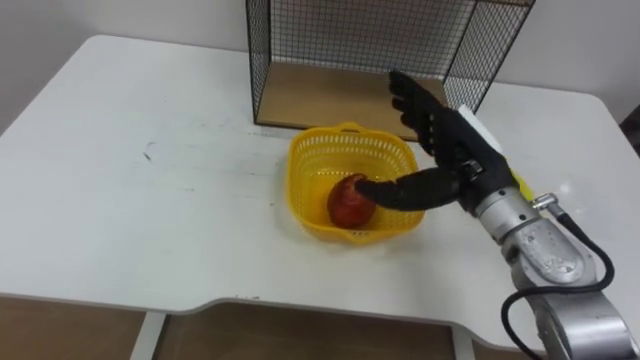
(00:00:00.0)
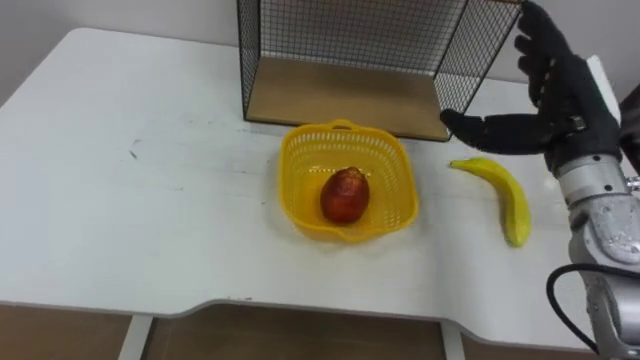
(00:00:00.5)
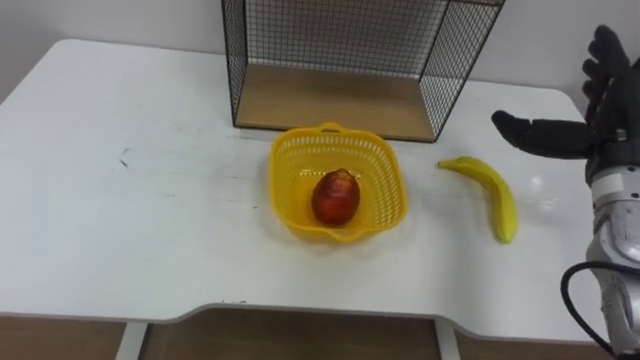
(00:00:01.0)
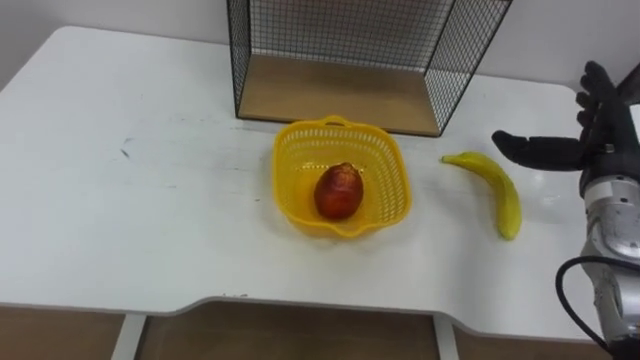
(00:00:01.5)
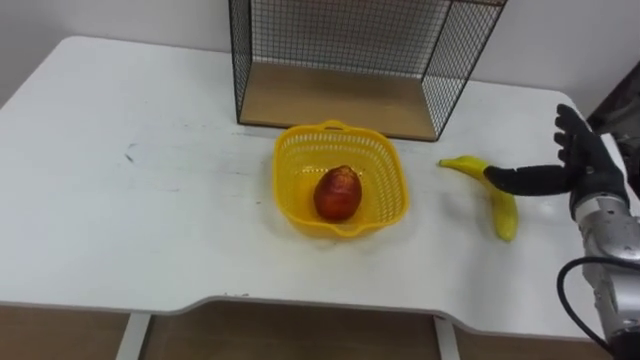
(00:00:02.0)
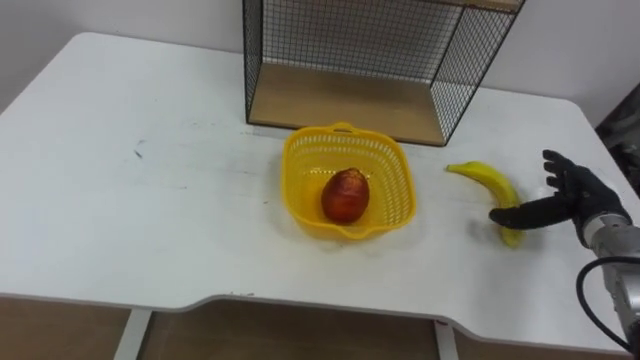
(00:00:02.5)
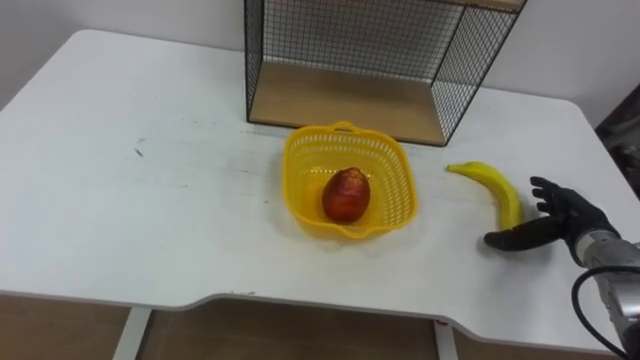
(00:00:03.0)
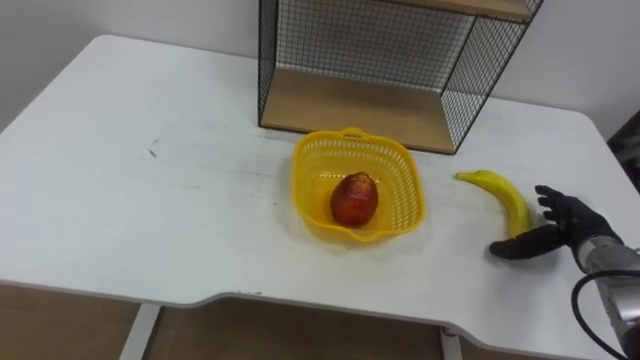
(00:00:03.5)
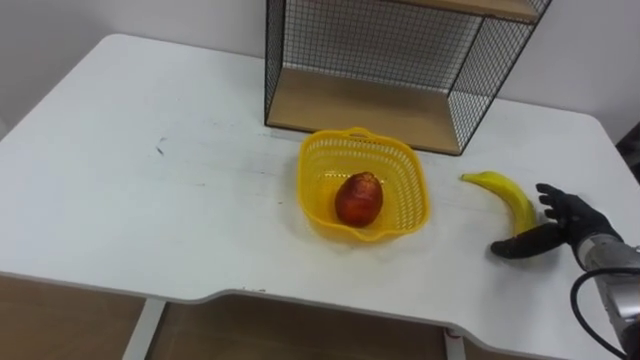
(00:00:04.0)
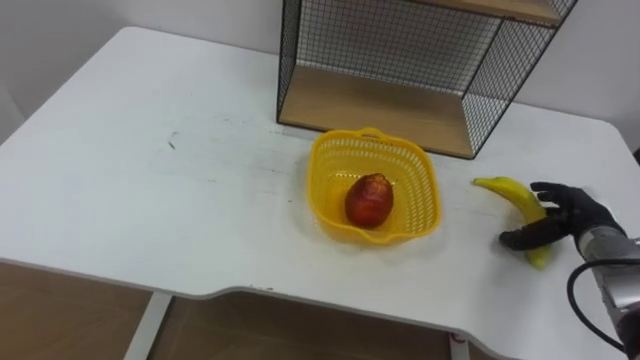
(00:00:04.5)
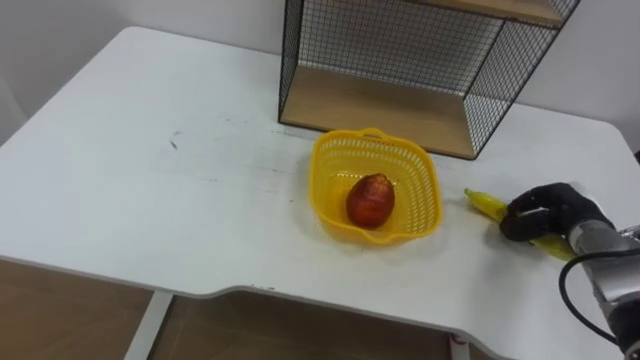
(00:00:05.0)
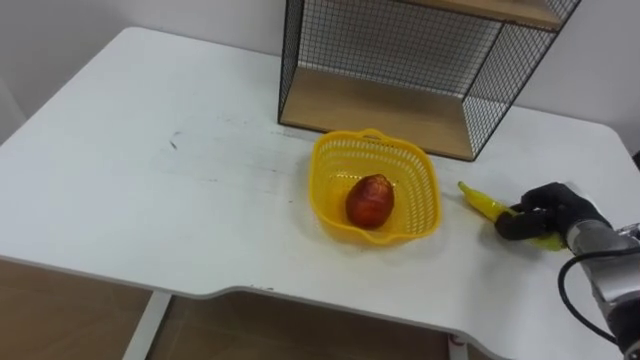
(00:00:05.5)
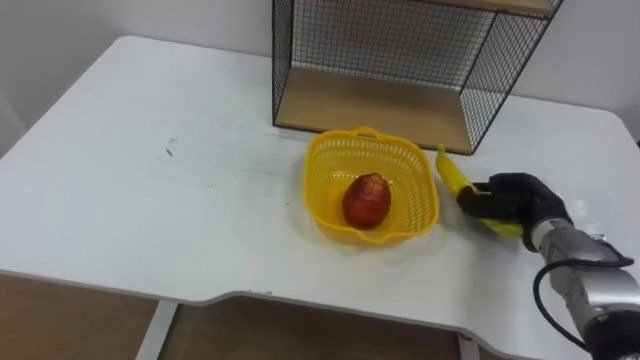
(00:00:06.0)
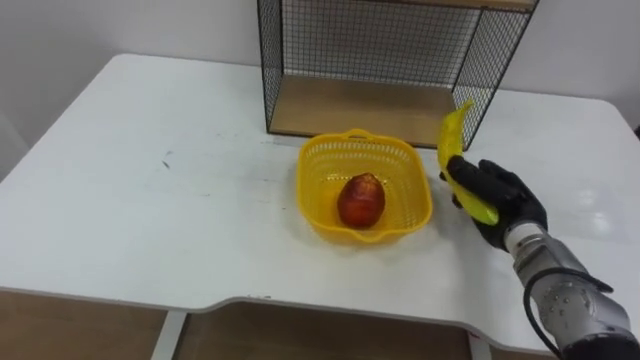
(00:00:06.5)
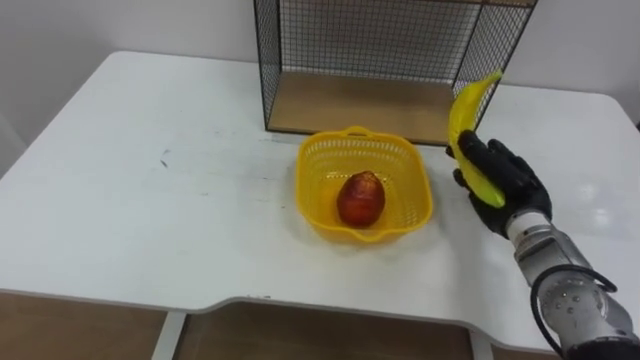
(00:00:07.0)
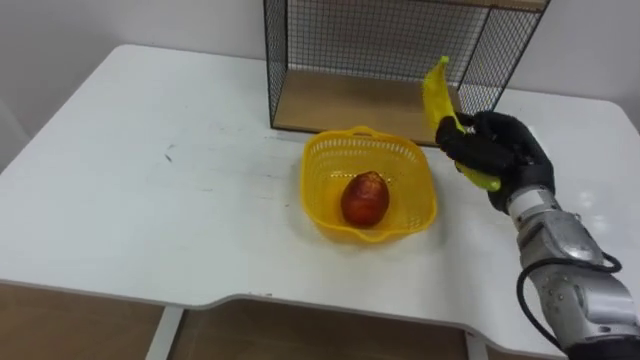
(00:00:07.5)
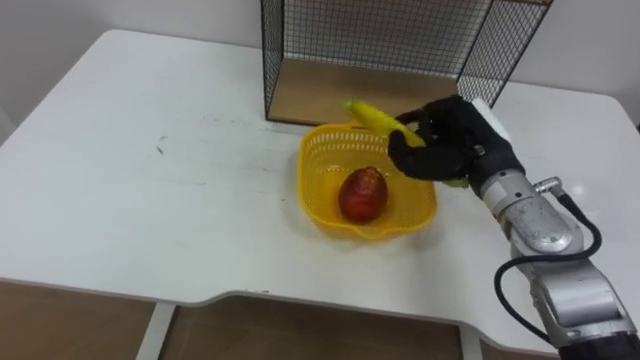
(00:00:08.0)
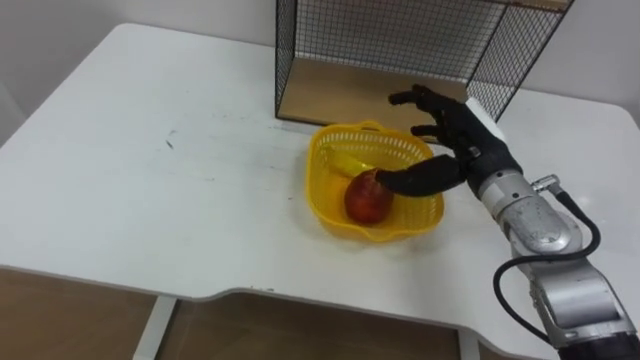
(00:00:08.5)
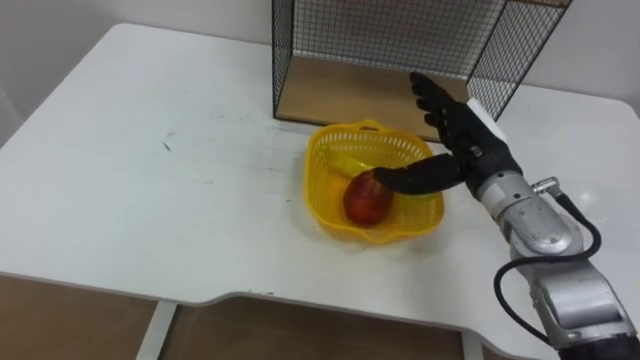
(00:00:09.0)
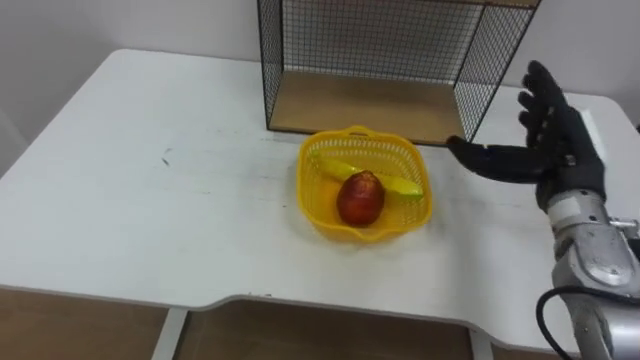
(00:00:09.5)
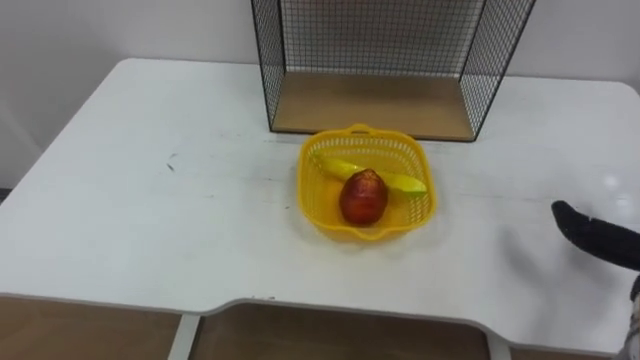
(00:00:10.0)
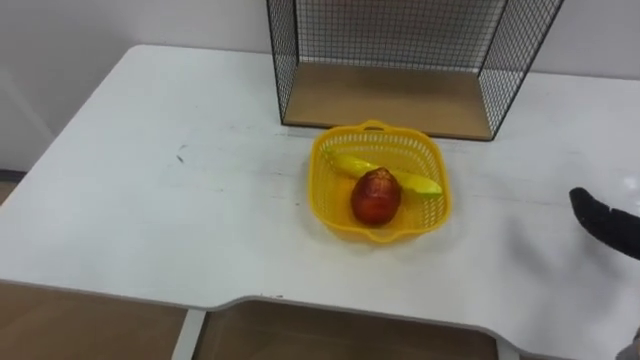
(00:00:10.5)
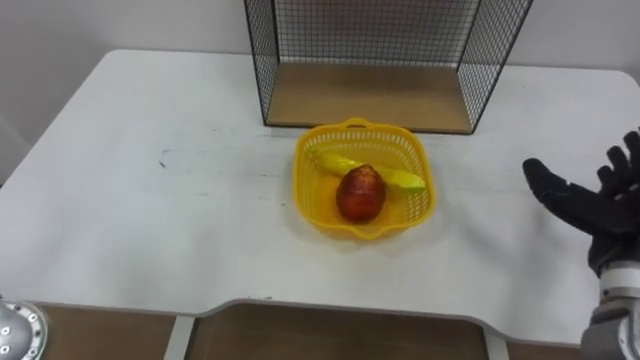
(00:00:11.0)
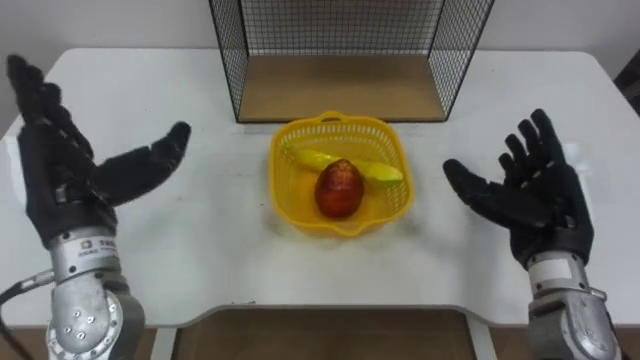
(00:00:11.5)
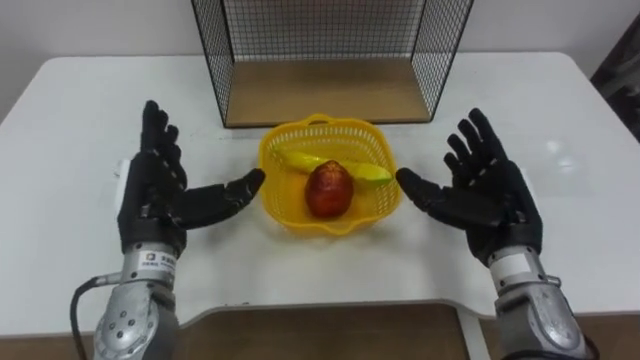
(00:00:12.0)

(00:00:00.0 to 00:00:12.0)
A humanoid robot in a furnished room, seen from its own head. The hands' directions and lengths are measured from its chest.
Task of the whole recording: Put the fruit on the table into the basket, then place the basket on the shelf.
00:00:00.0 - 00:00:02.0: The right hand goes roughly 15 cm to the right.
00:00:02.0 - 00:00:04.0: The right hand travels downward by approximately 10 cm.
00:00:04.0 - 00:00:06.0: The right hand heads to the left, covering about 5 cm, and closes.
00:00:06.0 - 00:00:08.0: The right hand shifts some 15 cm upward and to the left.

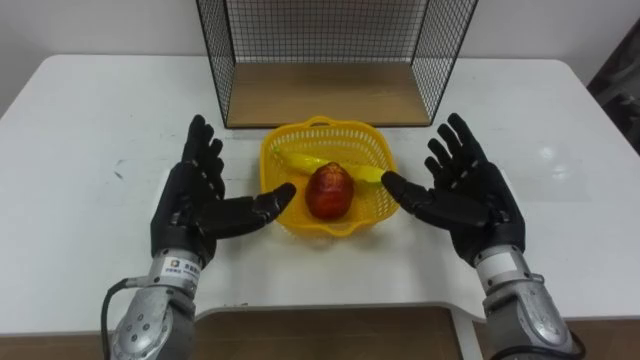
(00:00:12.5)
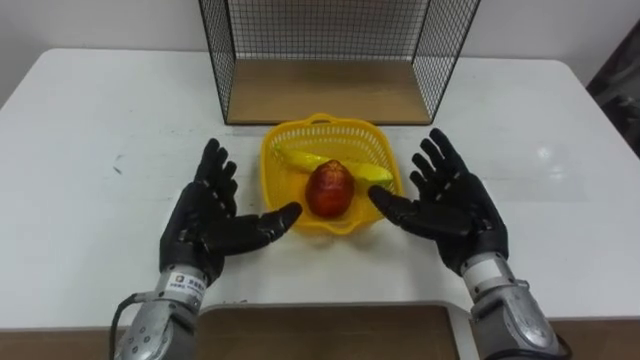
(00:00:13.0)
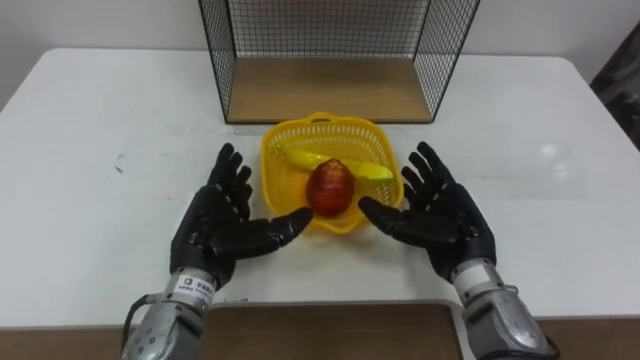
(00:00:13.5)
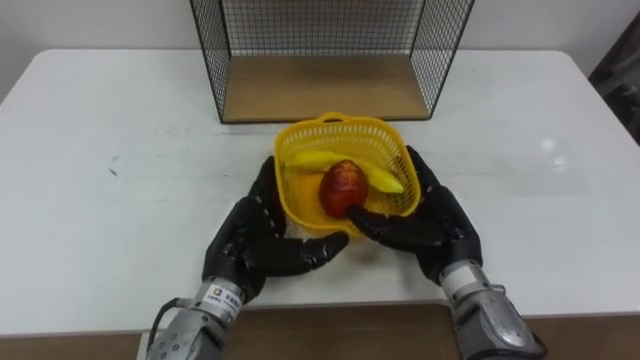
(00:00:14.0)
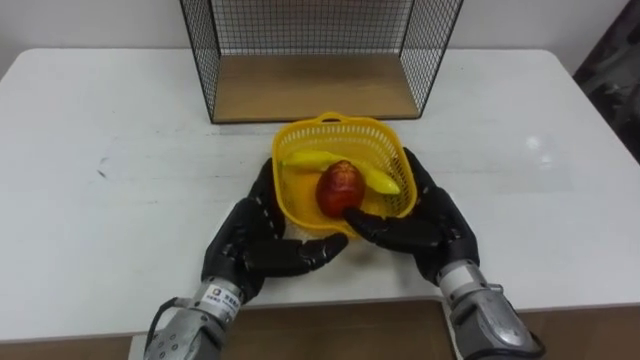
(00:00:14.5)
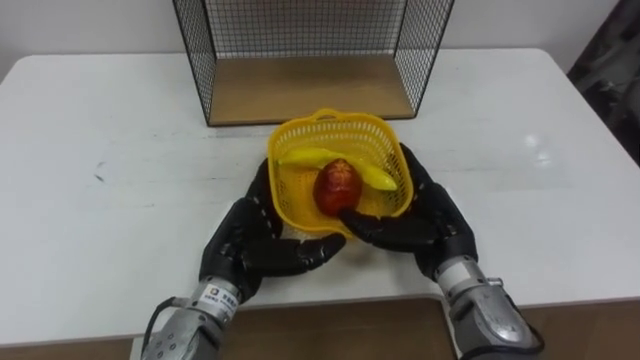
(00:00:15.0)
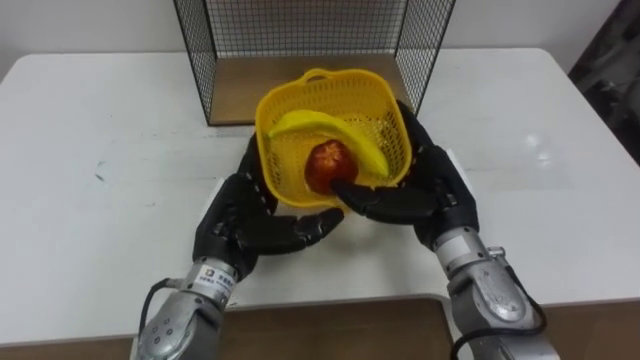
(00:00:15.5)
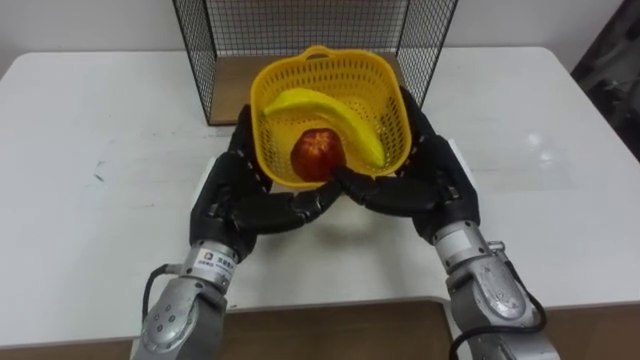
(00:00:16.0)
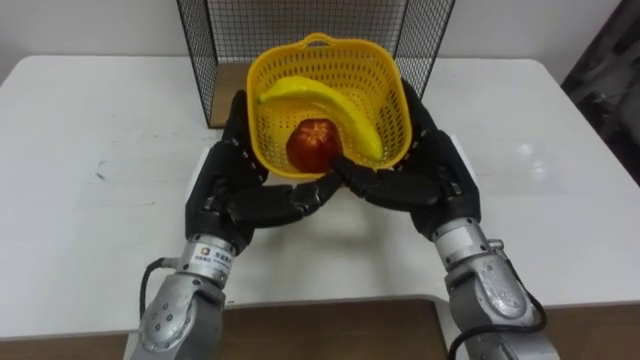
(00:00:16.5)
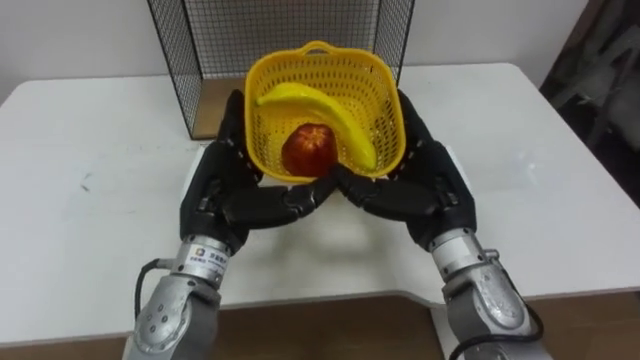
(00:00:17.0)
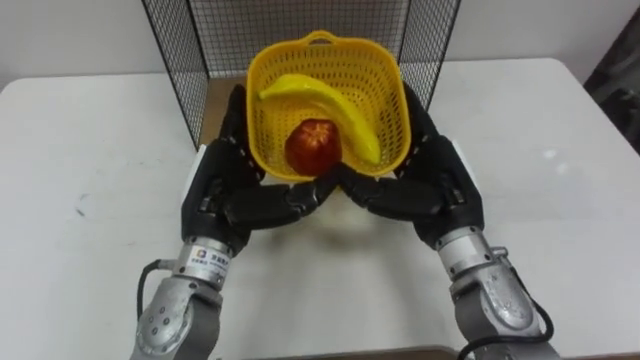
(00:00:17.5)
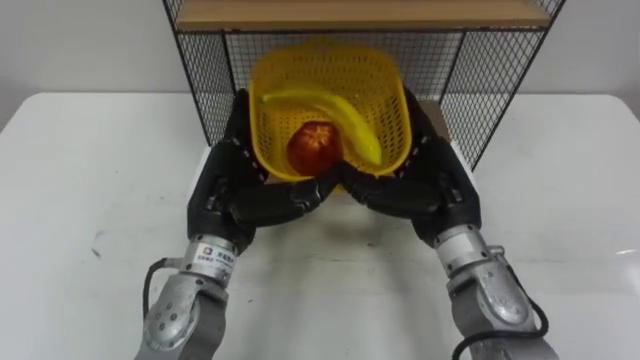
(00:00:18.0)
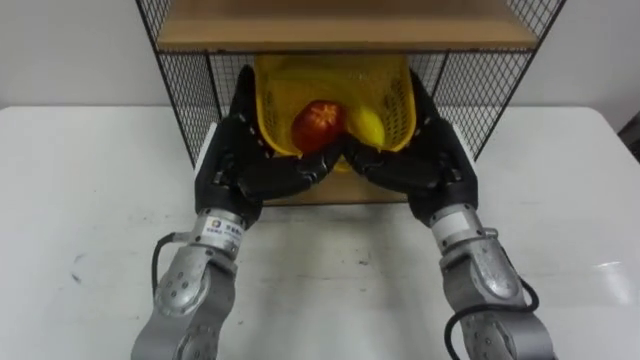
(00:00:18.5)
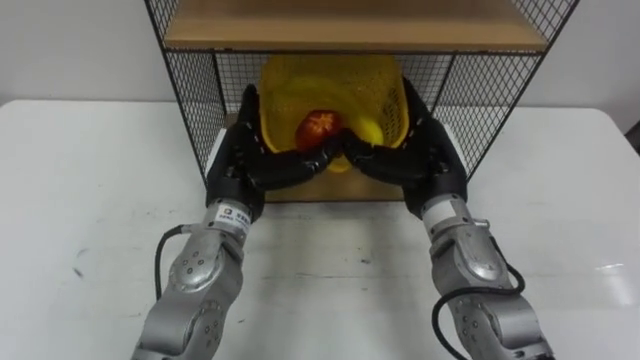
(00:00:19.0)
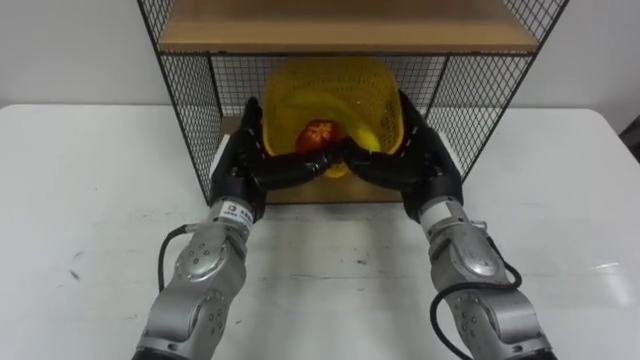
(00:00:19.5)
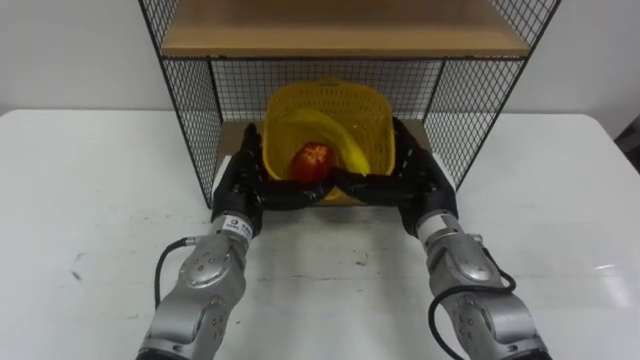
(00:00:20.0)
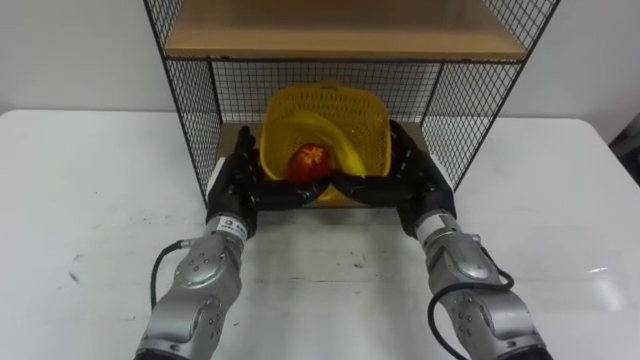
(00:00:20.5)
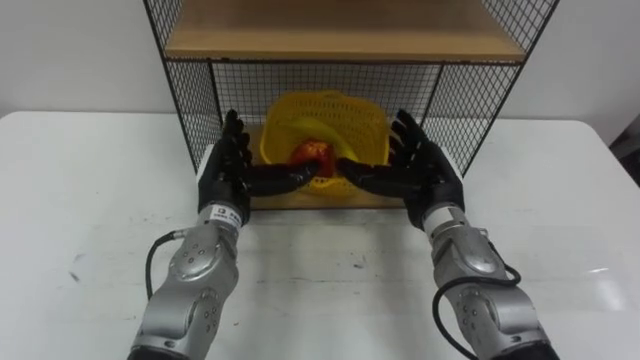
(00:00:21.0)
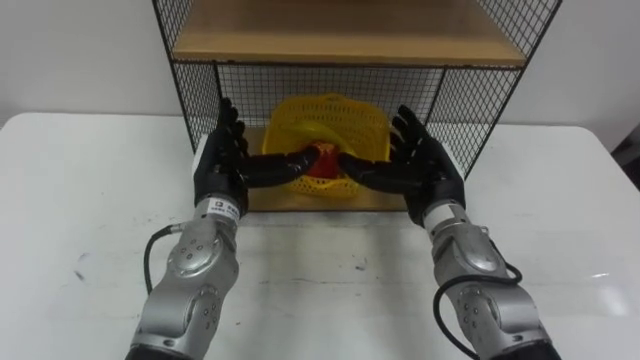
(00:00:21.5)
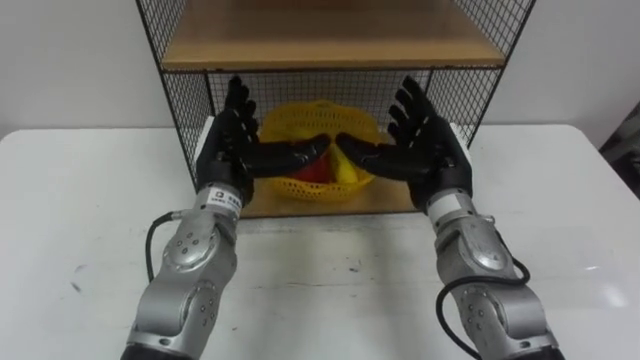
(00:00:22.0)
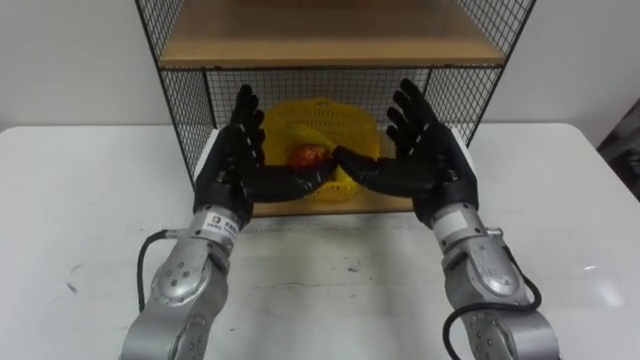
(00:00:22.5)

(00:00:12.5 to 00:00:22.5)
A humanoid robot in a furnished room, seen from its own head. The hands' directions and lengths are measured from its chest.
Task of the whole recording: Put the fruit on the table into the basket, then place the basket on the shelf.
00:00:12.5 - 00:00:14.5: The left hand goes approximately 5 cm to the right. Meanwhile the right hand moves some 5 cm.
00:00:14.5 - 00:00:16.5: The two hands go some 5 cm upward.
00:00:18.5 - 00:00:20.5: The hands both shift downward by some 10 cm.
00:00:20.5 - 00:00:22.5: Both hands travel together upward, some 5 cm.
